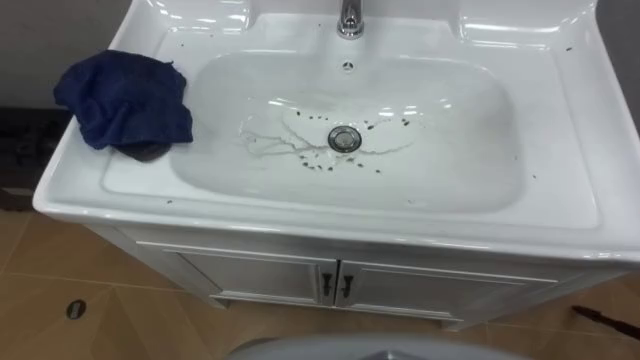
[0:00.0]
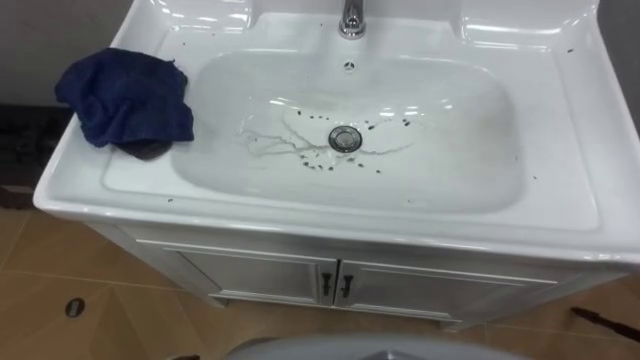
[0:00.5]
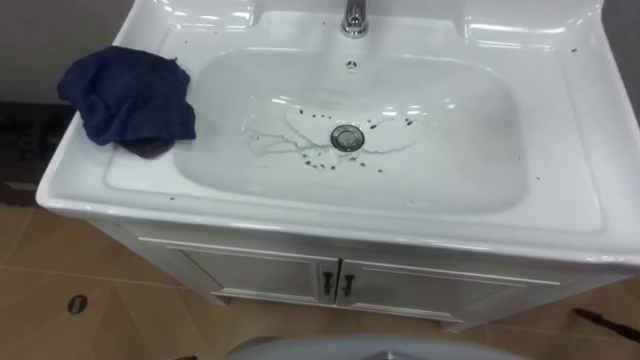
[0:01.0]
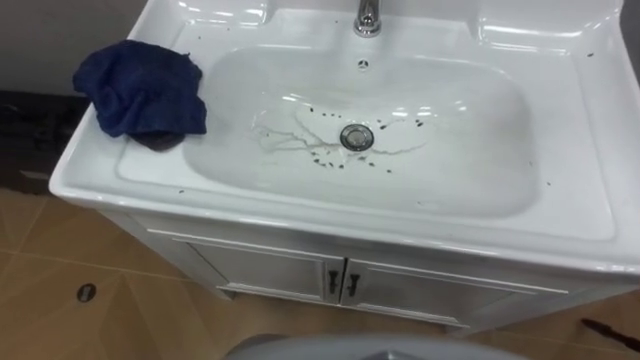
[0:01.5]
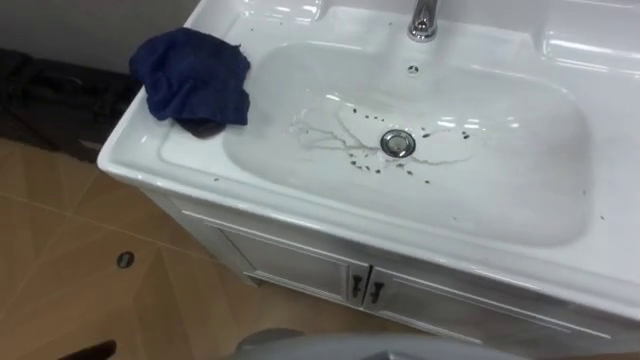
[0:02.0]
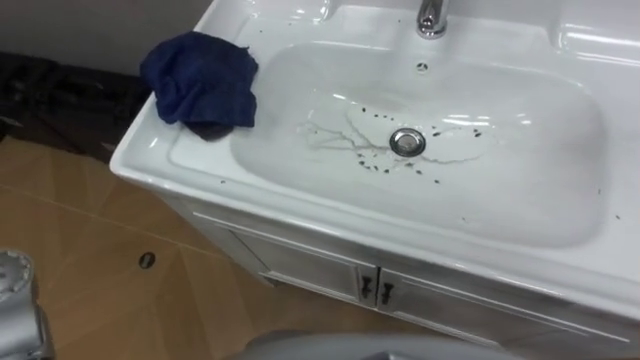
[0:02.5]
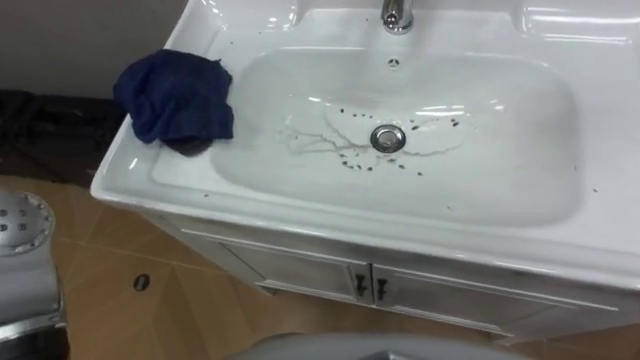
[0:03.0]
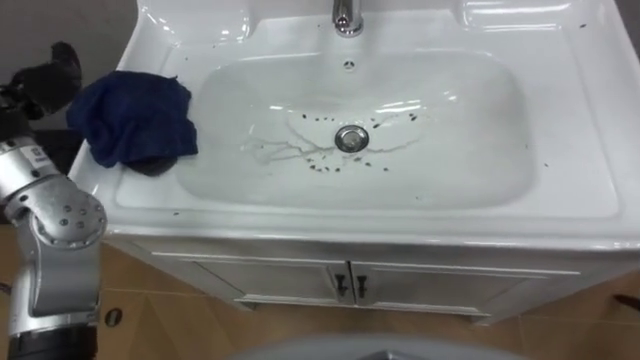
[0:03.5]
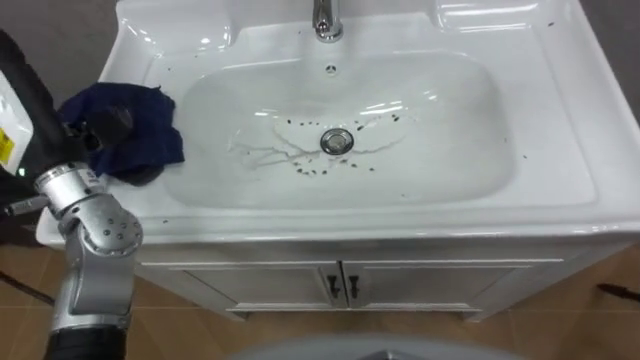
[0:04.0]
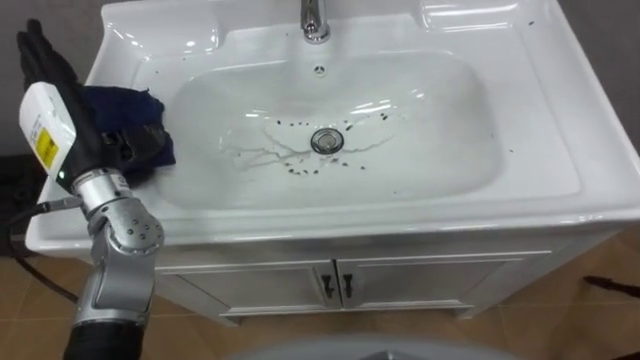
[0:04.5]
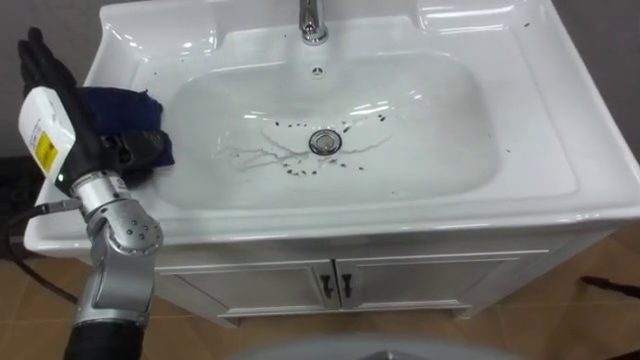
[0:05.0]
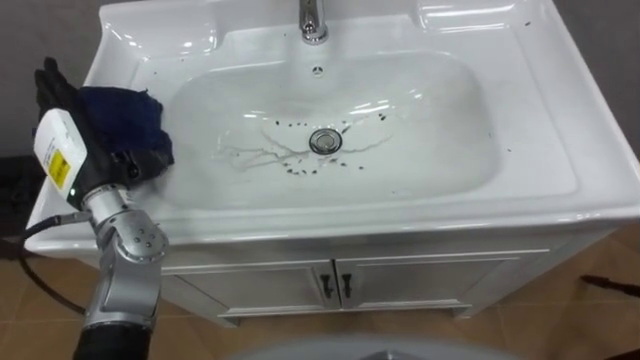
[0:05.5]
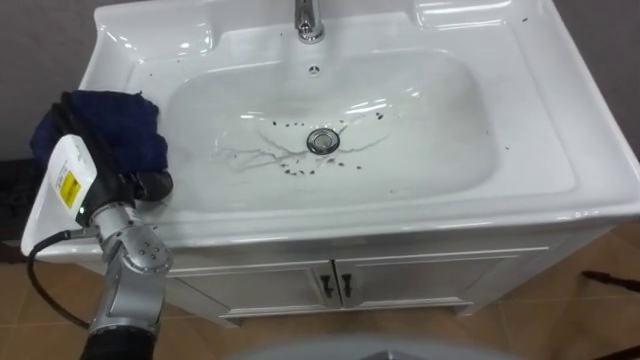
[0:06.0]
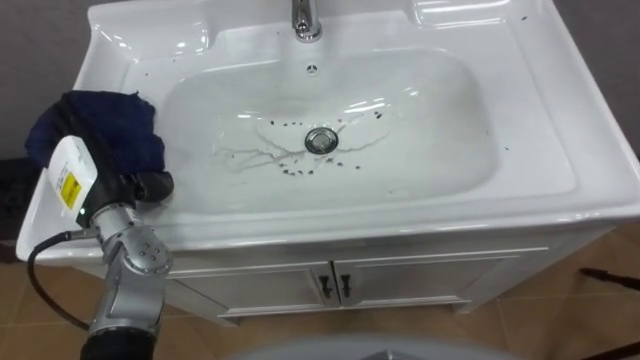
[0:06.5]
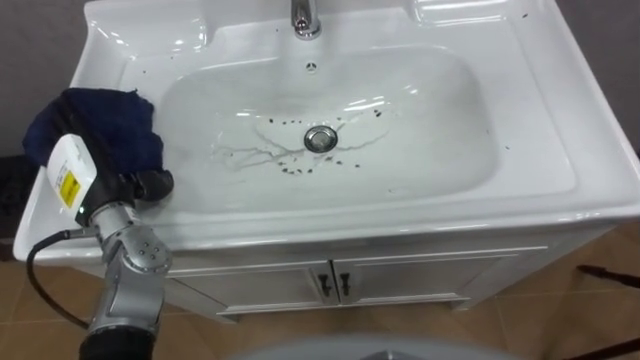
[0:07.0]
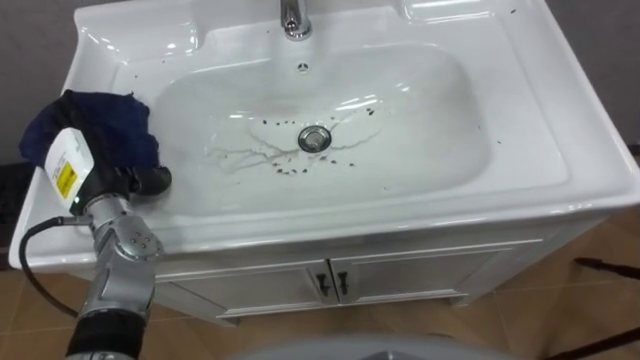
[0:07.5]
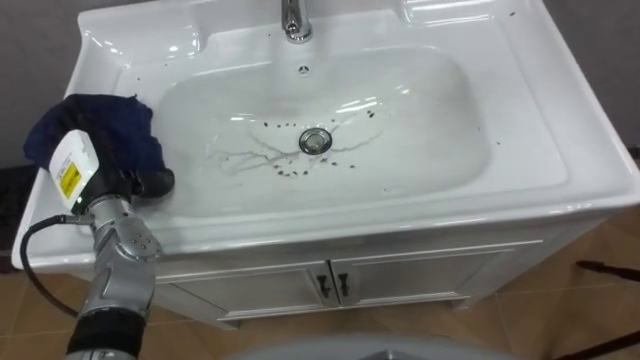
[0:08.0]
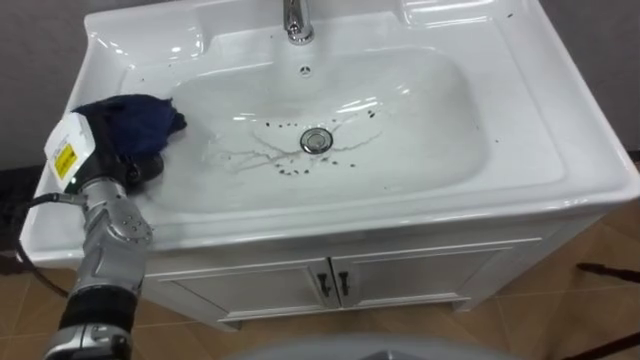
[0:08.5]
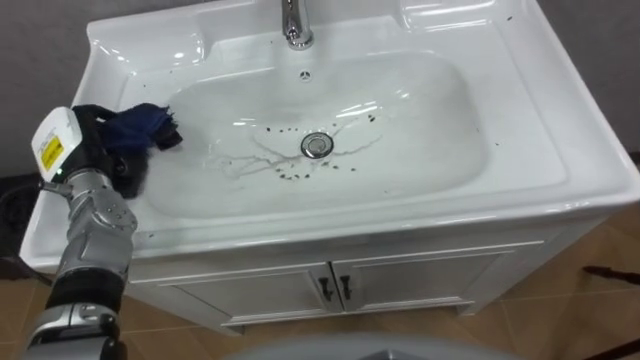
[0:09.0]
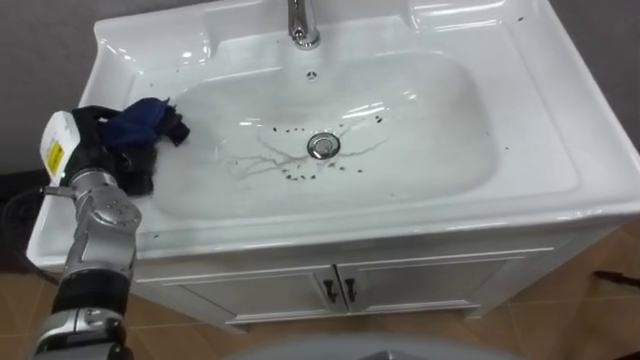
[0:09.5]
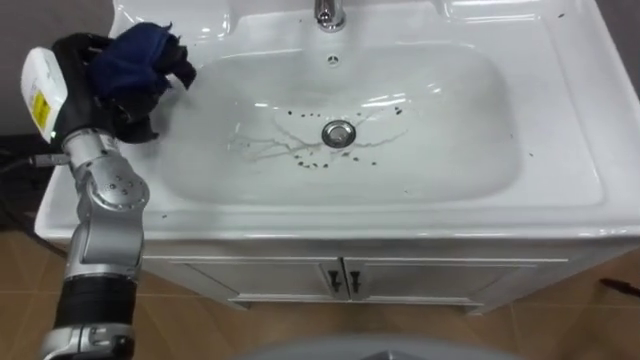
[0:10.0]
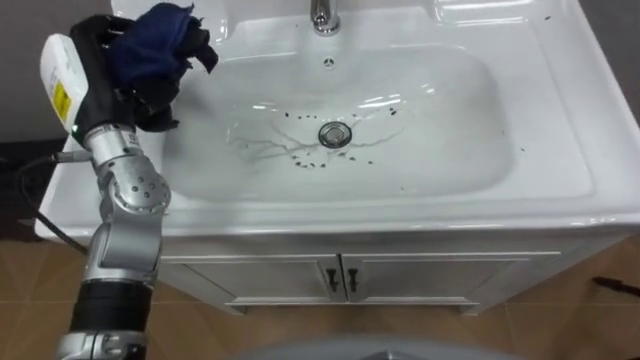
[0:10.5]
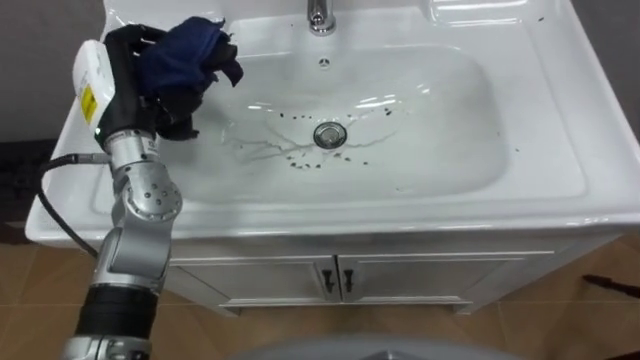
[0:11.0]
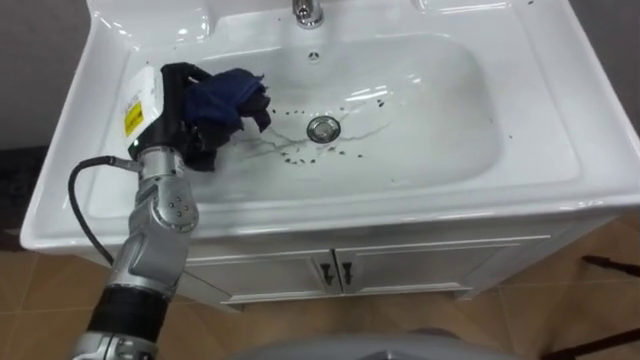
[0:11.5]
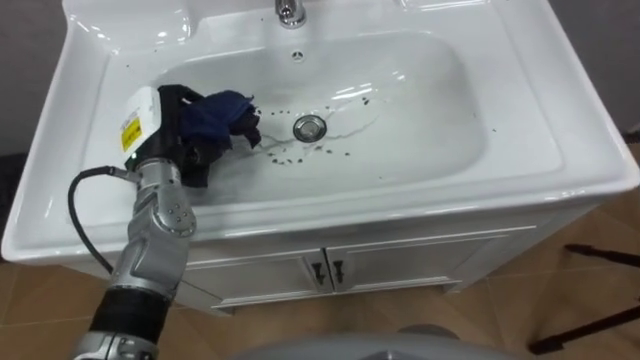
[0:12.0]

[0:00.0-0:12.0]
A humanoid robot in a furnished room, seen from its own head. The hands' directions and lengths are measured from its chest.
Task of the whole recording: Use the cloth on the right to wipe away the black stain in the sink.
0:04.0 to 0:06.0: The left hand moves downward, some 10 cm.
0:08.0 to 0:10.0: The left hand moves upward, some 10 cm, and closes up.
0:10.0 to 0:12.0: The left hand shifts some 10 cm to the right and downward.

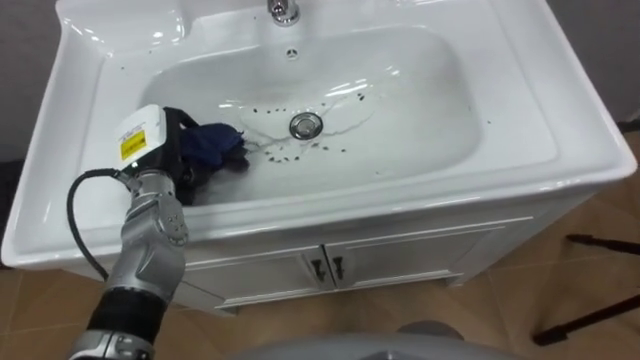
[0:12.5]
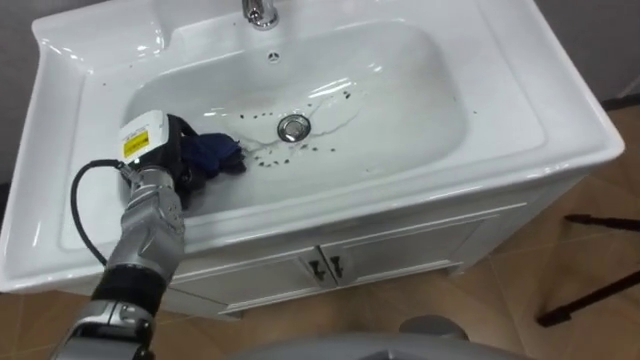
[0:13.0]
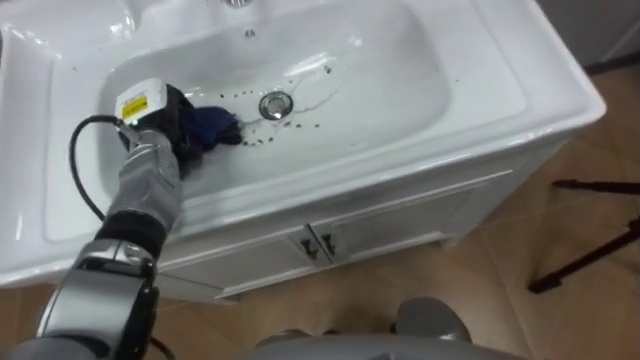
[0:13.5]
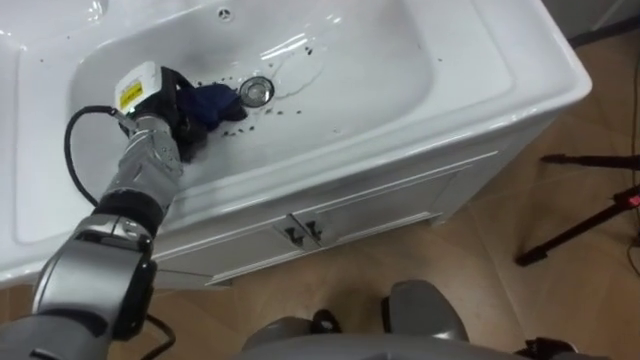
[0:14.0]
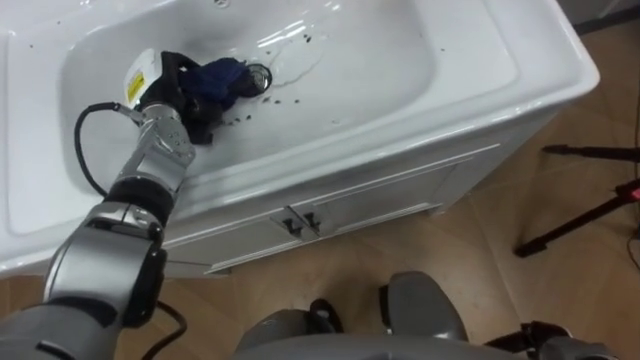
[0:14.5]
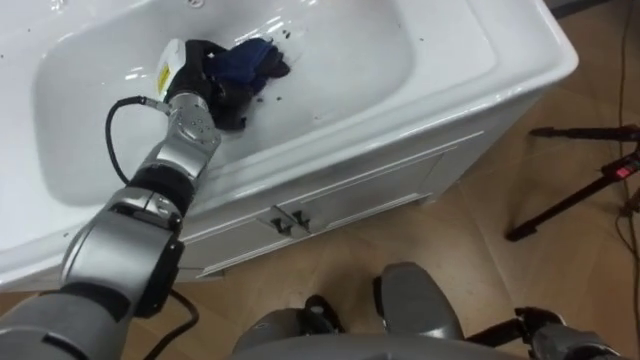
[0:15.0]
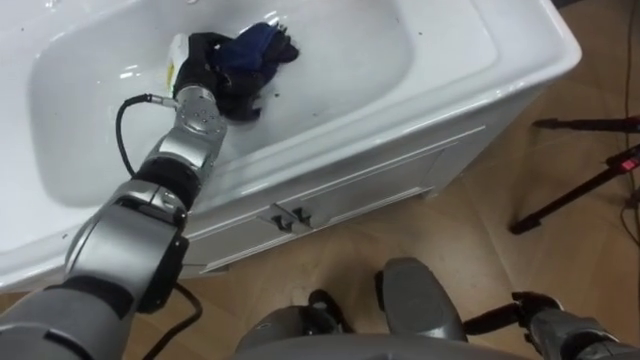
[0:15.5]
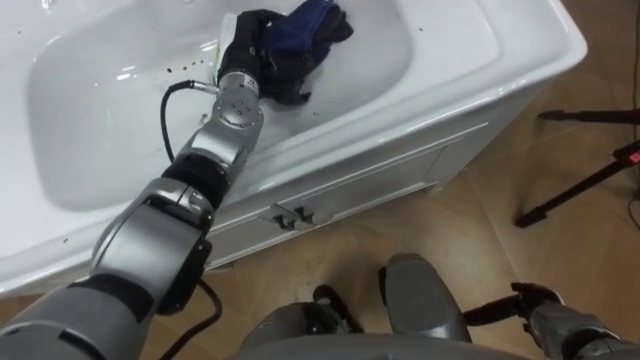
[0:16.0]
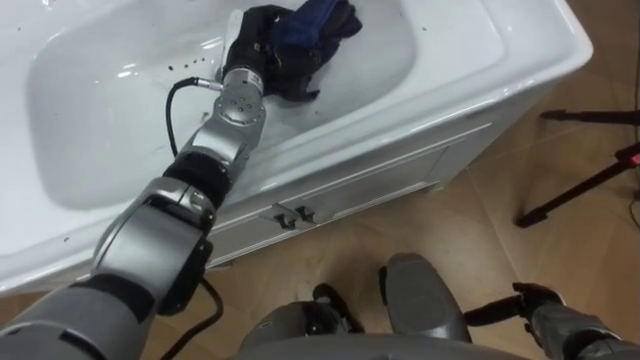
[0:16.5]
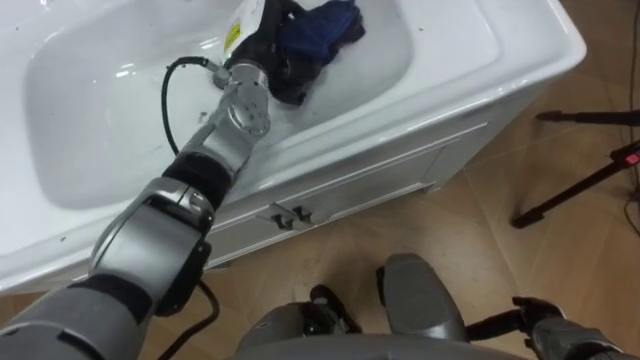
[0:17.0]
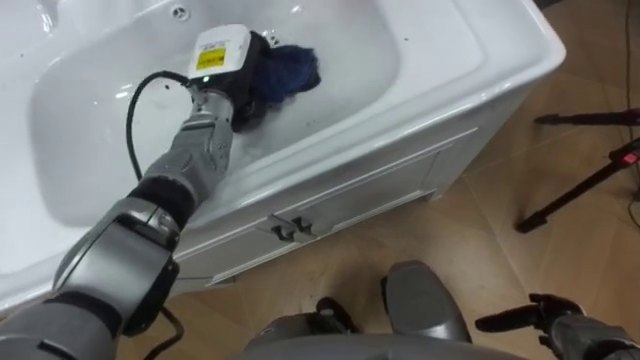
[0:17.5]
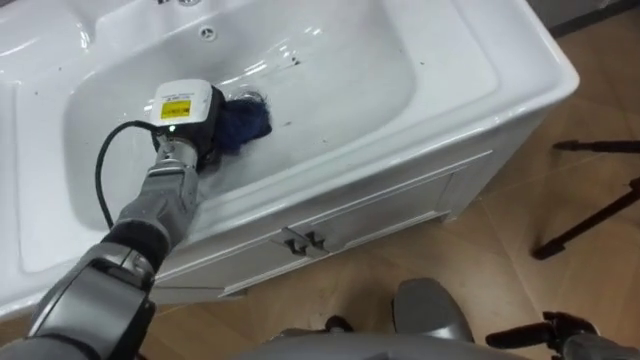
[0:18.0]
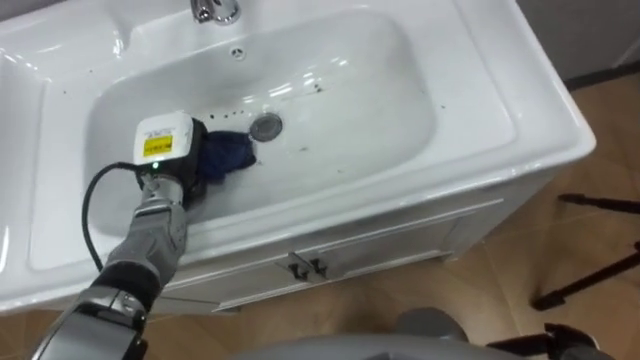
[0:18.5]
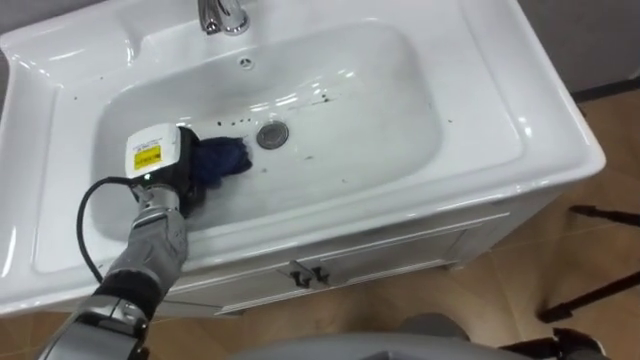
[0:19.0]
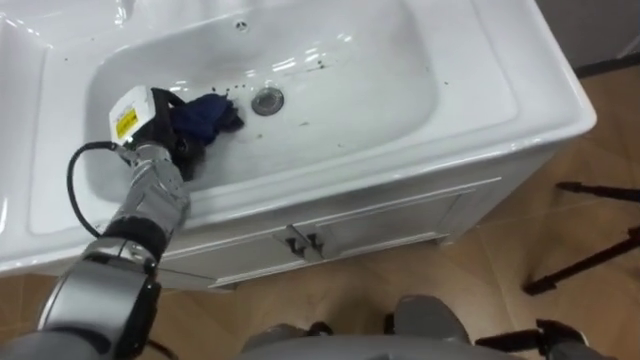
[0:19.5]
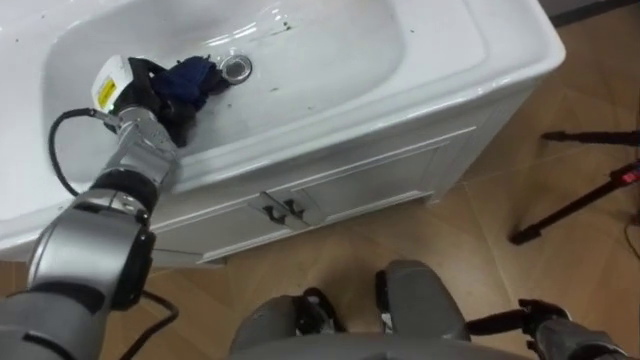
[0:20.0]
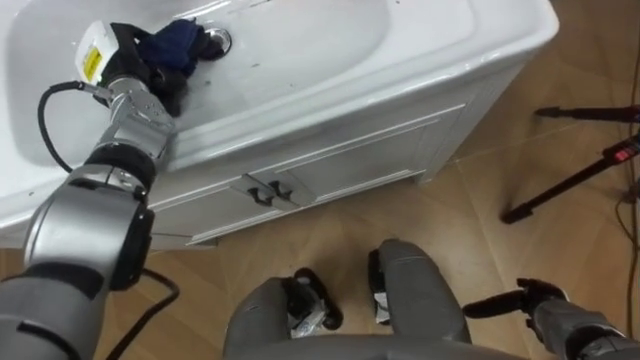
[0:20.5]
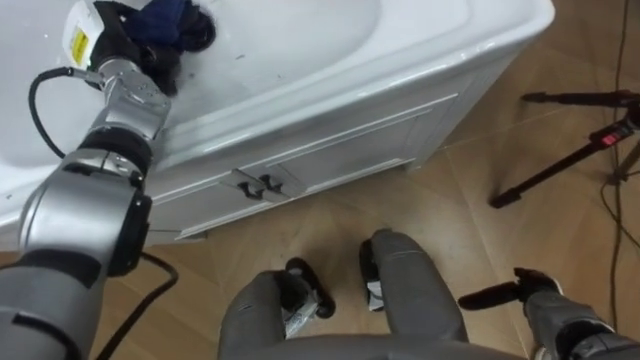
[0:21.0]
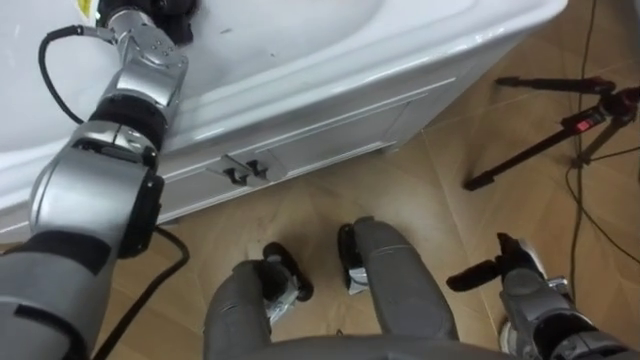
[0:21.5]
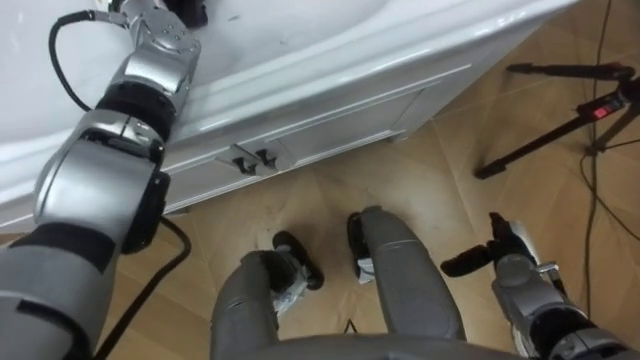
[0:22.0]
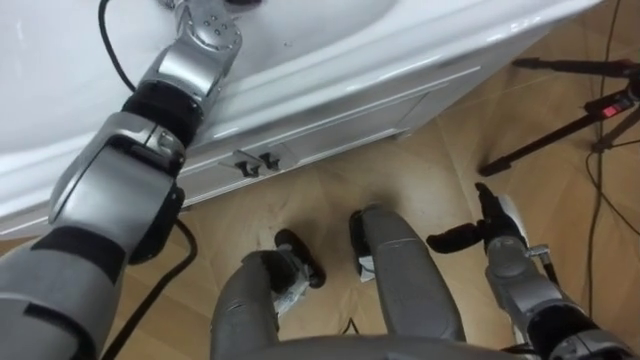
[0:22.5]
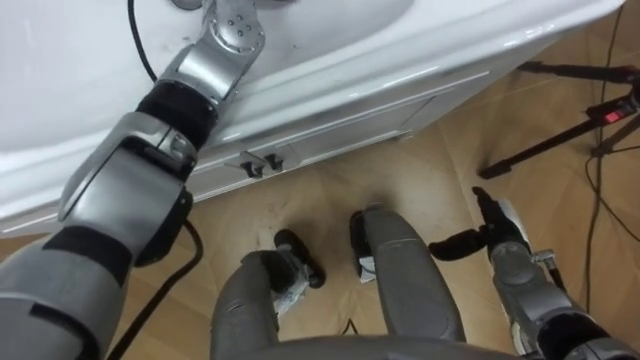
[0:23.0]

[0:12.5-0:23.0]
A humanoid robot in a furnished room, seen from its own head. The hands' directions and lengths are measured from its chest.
Task of the whole recording: Use the cloth on the right to wipe away the black stain in the sink.
0:12.5 to 0:14.5: The left hand shifts about 10 cm forward.
0:14.5 to 0:16.5: The left hand is displaced to the right by approximately 15 cm.
0:16.5 to 0:19.0: The left hand goes roughly 20 cm to the left, backward and downward.
0:19.0 to 0:21.0: The left hand is displaced forward and upward by about 15 cm.
0:21.0 to 0:23.0: The right hand heads forward and to the left, covering approximately 10 cm.
